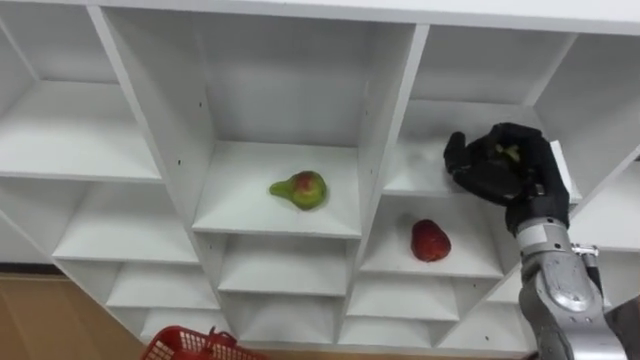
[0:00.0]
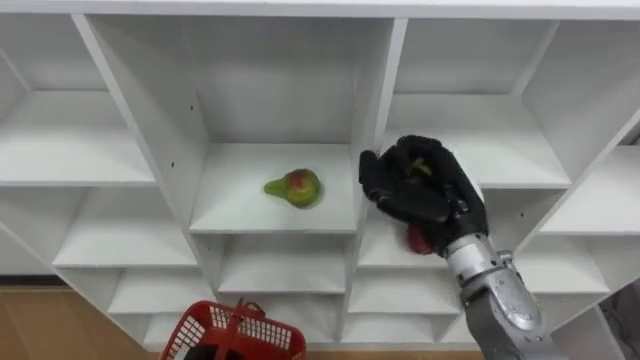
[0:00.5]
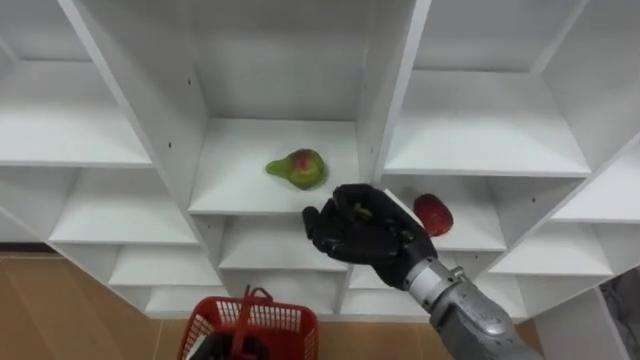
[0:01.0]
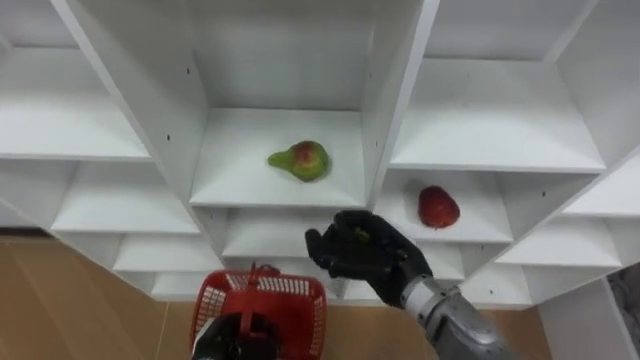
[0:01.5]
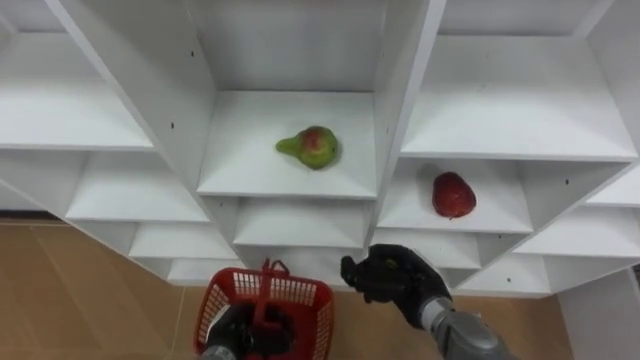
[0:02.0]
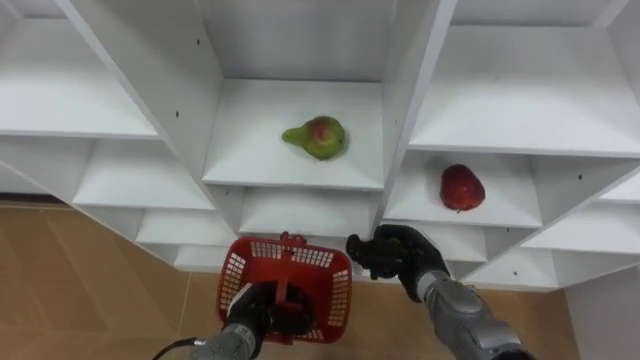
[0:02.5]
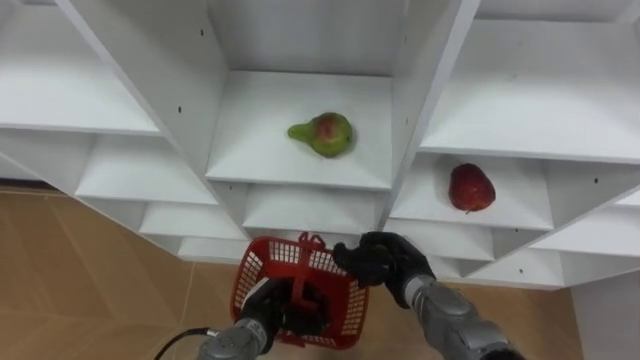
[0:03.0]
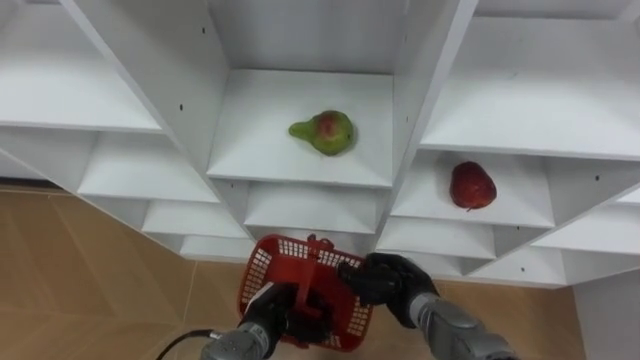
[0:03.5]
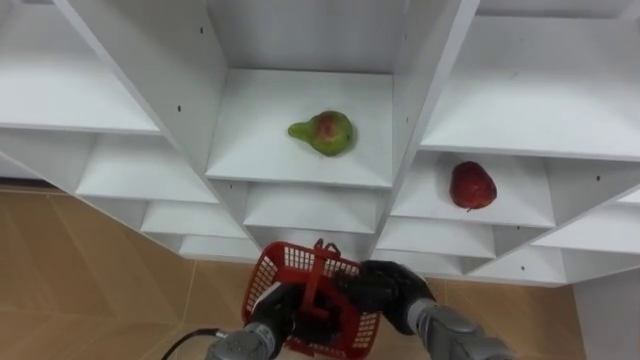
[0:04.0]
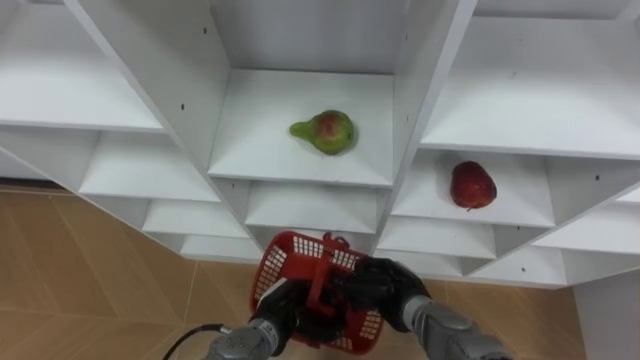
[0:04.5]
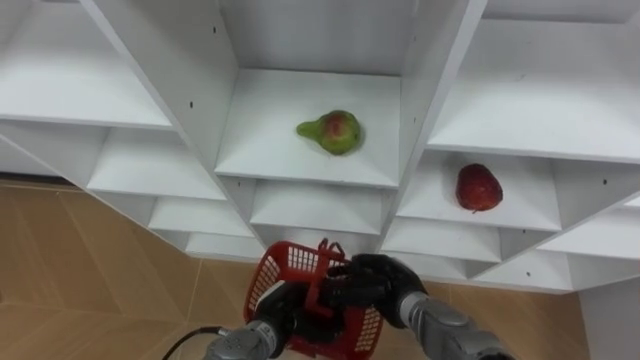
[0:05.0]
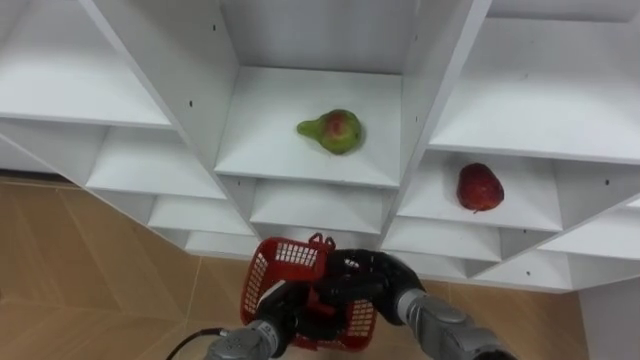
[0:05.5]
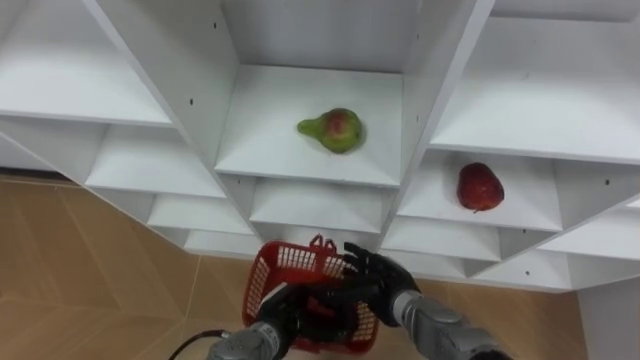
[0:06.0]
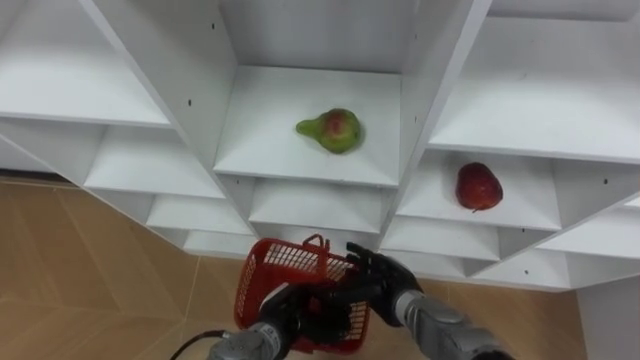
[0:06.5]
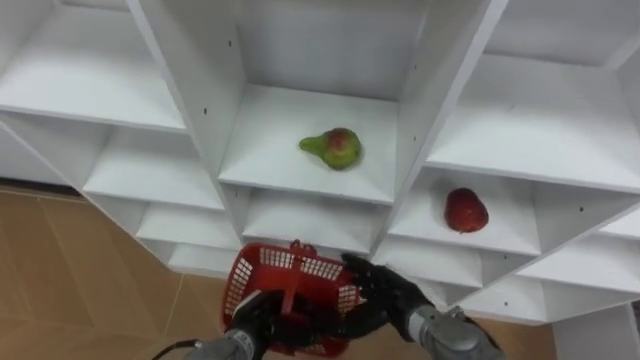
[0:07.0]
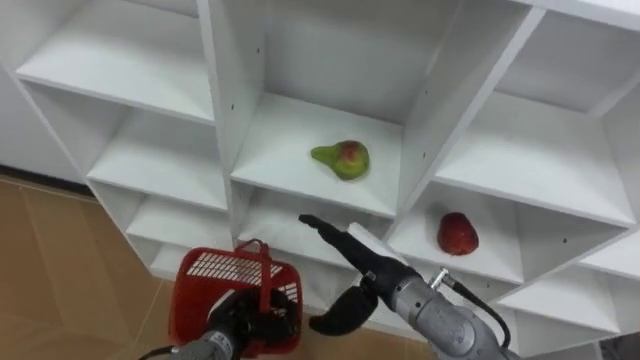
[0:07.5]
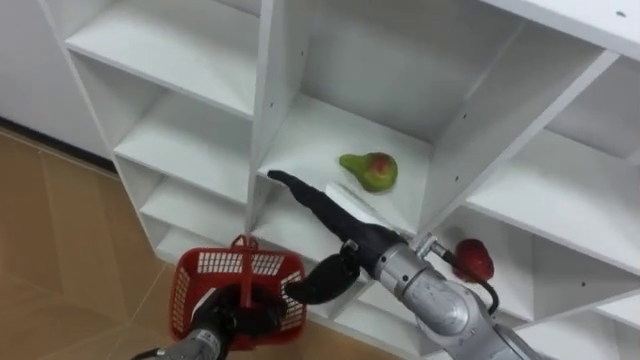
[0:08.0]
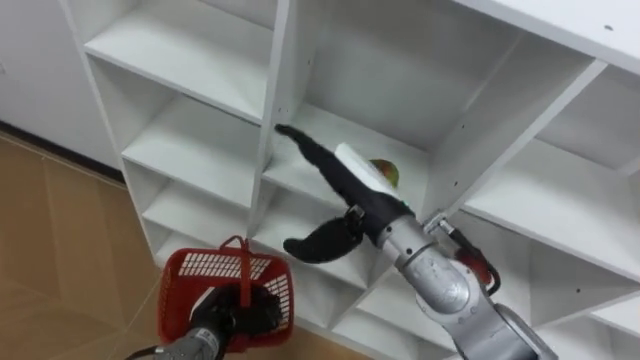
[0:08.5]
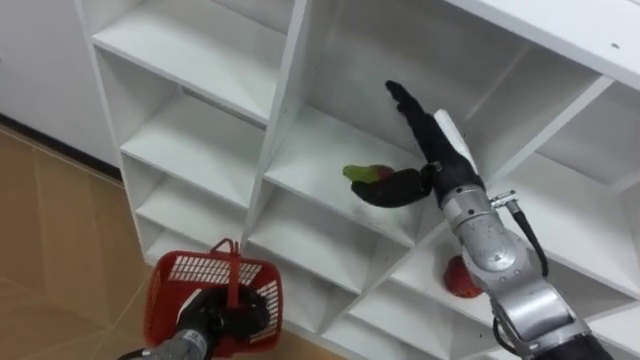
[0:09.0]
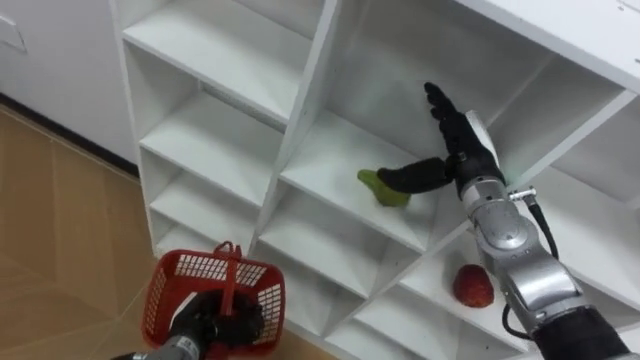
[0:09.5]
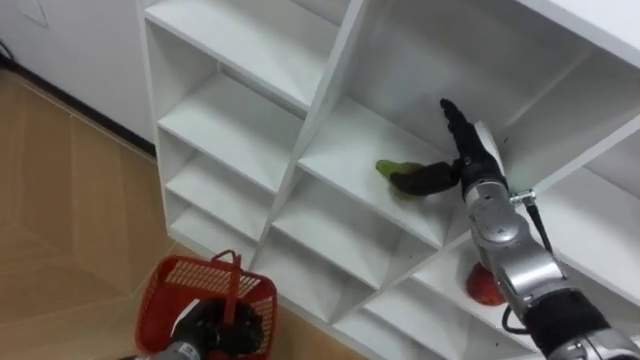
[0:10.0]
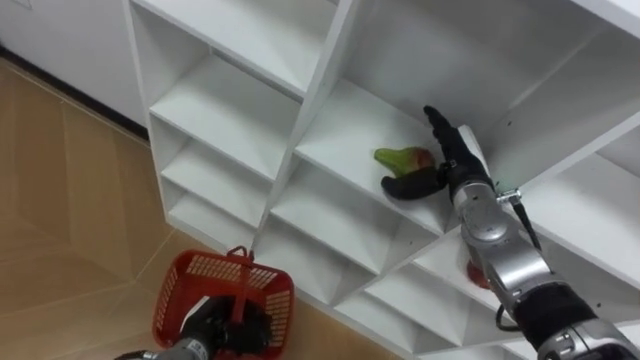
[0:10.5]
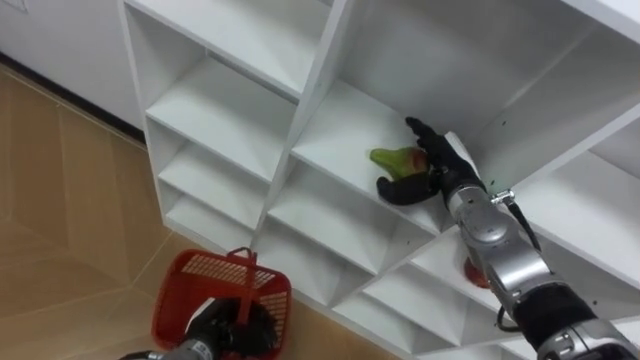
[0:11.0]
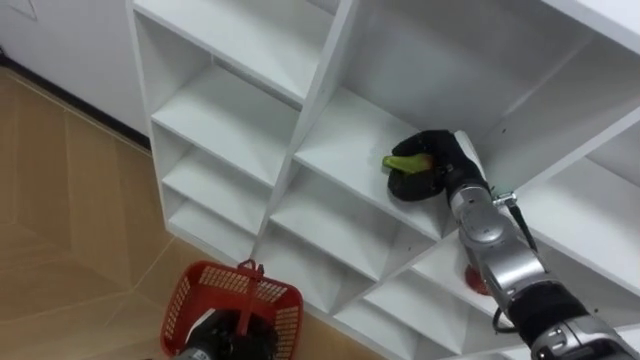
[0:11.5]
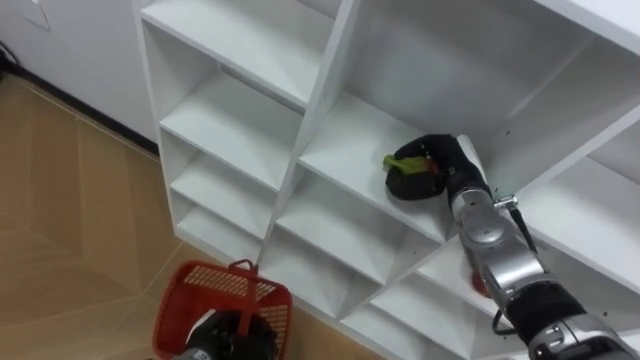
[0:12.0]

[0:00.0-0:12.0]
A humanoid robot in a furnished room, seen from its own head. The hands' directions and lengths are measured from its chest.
Task of the whole recording: Hold the basket and collect the fruits from 3 different cells of the closet into it.
0:00.0 to 0:02.0: The right hand goes roughly 20 cm downward, to the left and backward.
0:02.0 to 0:04.0: The left hand shifts roughly 5 cm to the right.
0:04.0 to 0:06.0: The right hand opens up.
0:06.0 to 0:08.0: The left hand heads to the left, covering about 10 cm. The right hand moves upward, some 15 cm.
0:08.0 to 0:10.0: The right hand goes some 20 cm to the right and forward.
0:10.0 to 0:12.0: The right hand closes.

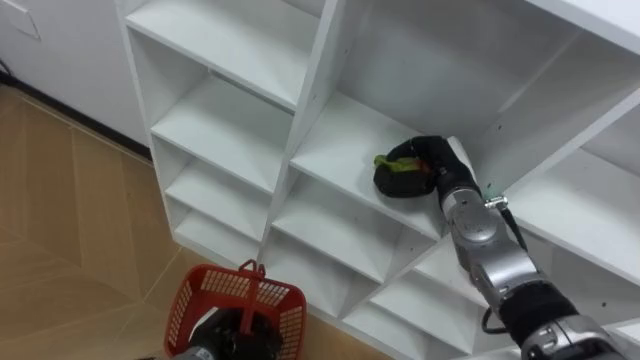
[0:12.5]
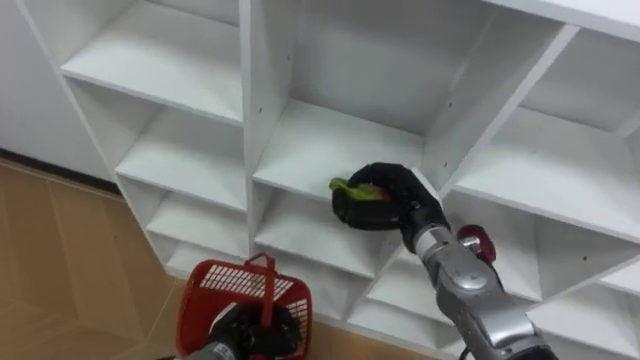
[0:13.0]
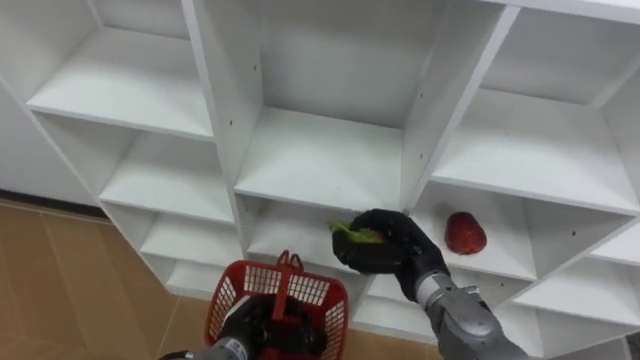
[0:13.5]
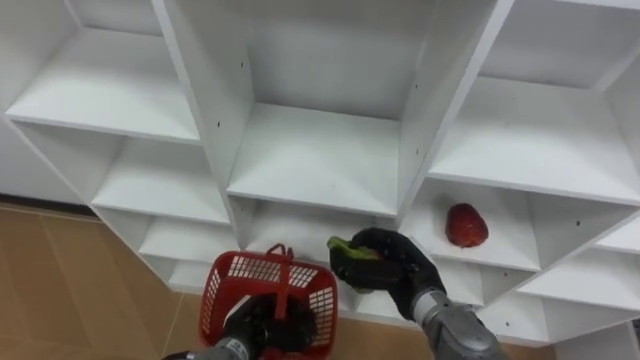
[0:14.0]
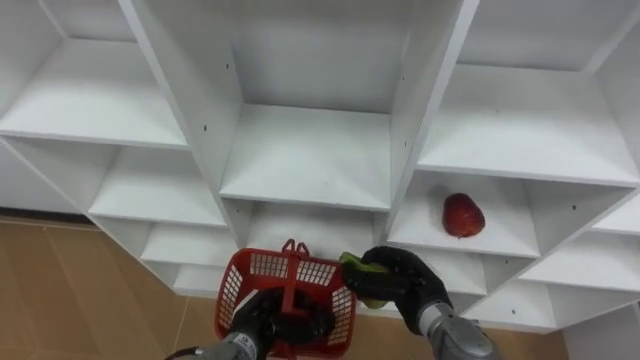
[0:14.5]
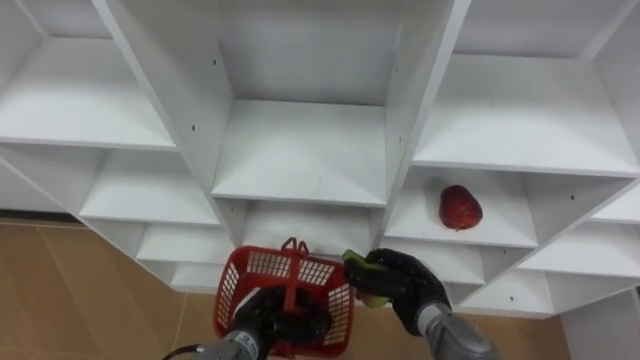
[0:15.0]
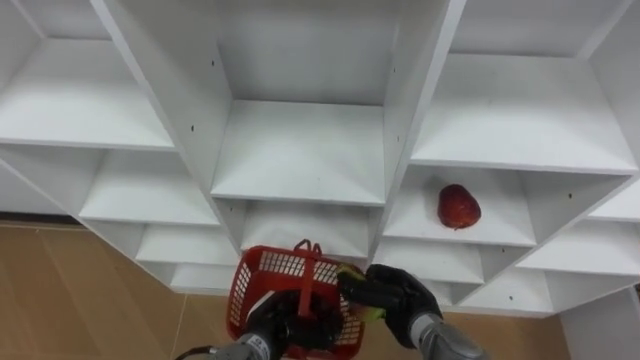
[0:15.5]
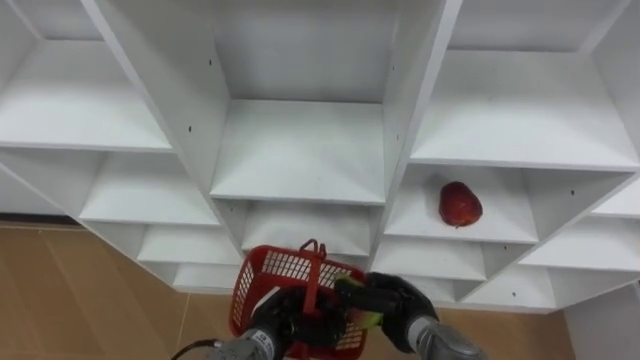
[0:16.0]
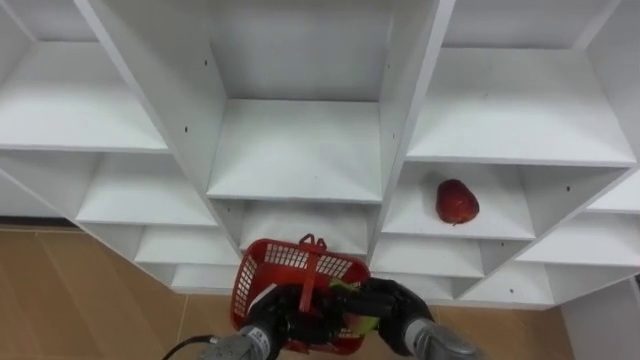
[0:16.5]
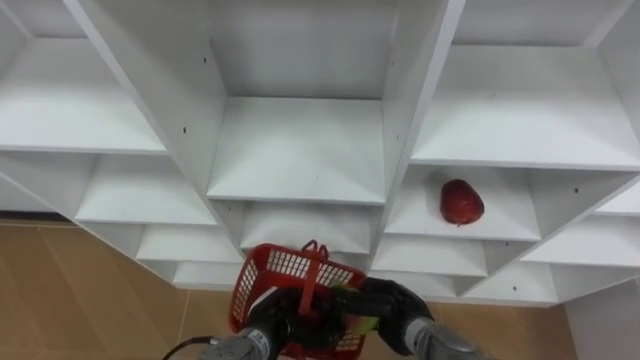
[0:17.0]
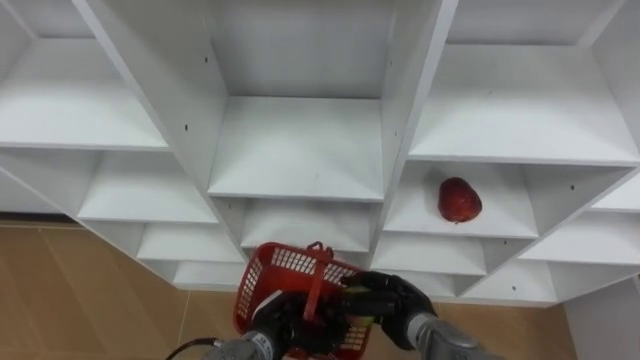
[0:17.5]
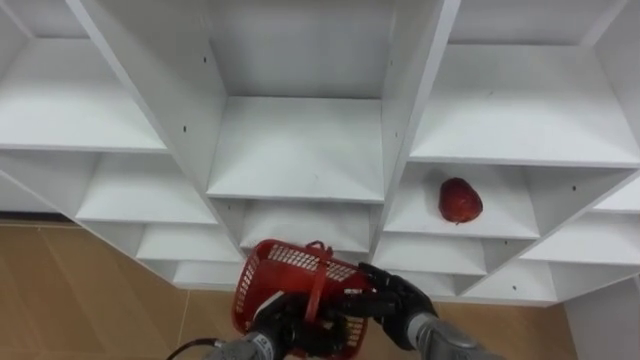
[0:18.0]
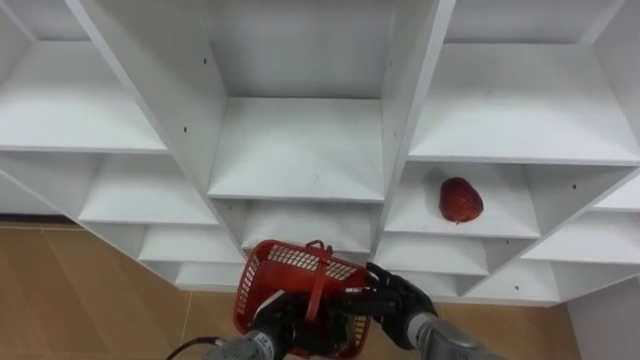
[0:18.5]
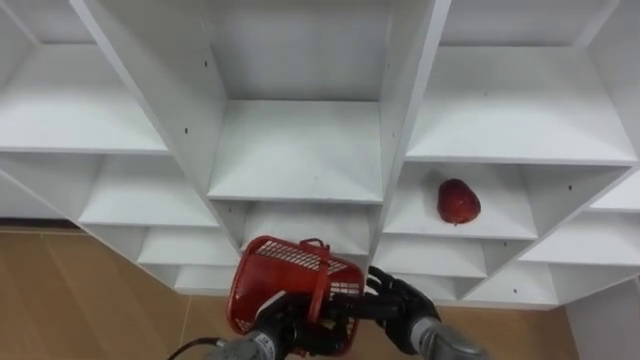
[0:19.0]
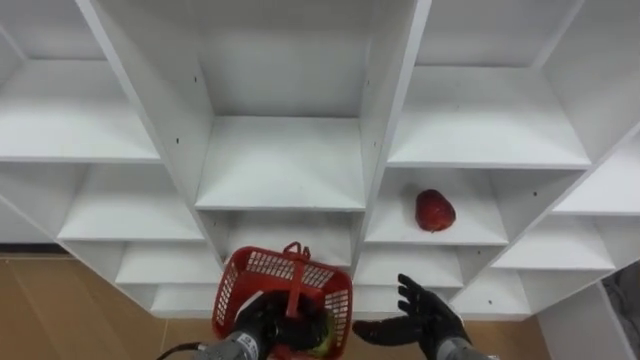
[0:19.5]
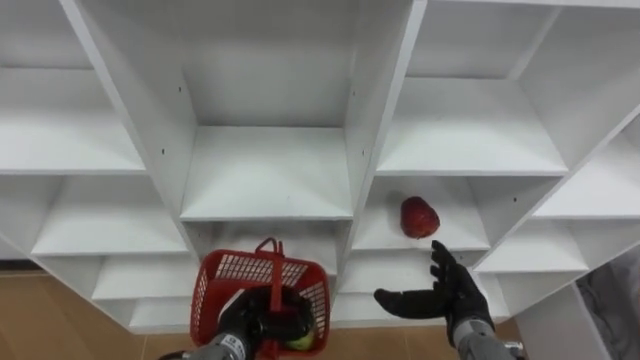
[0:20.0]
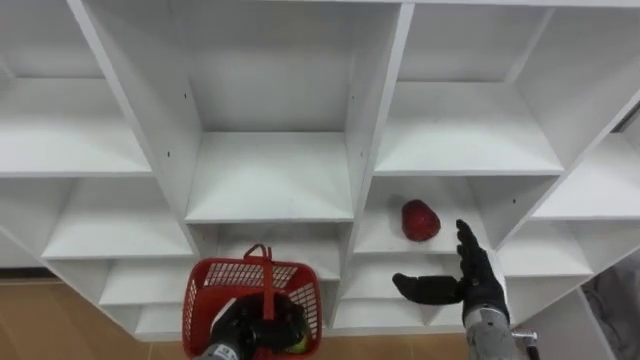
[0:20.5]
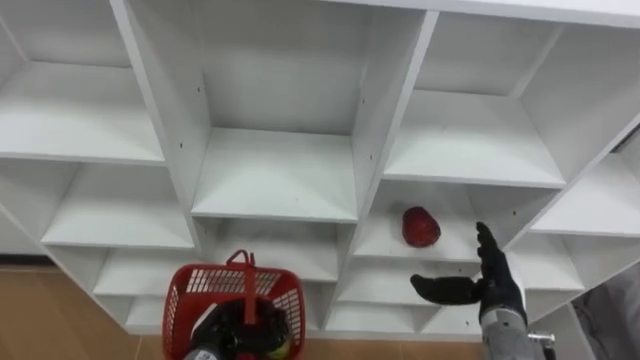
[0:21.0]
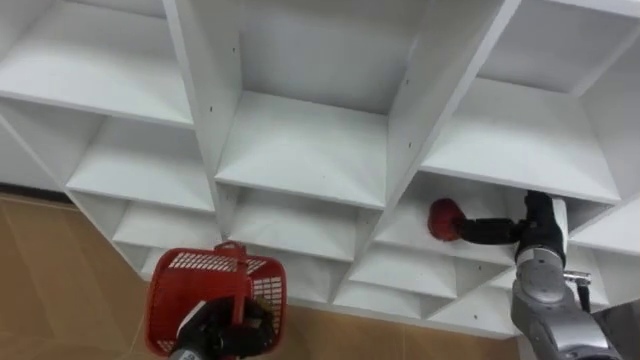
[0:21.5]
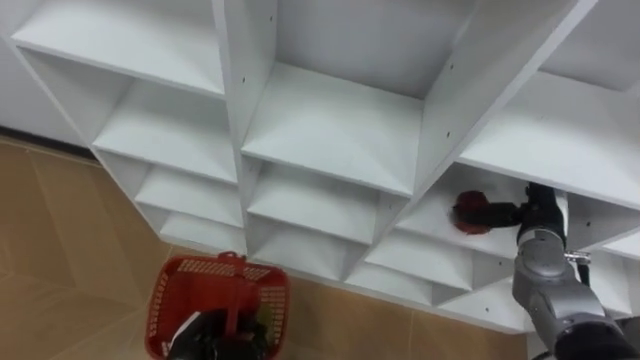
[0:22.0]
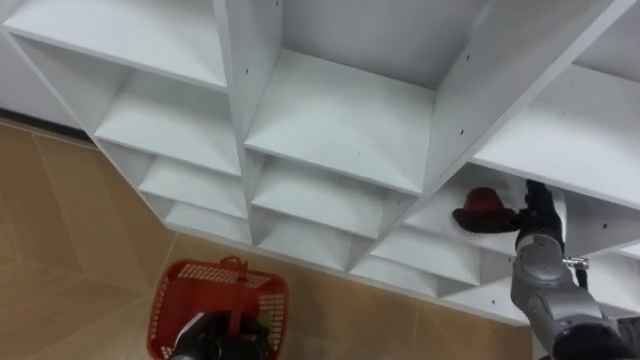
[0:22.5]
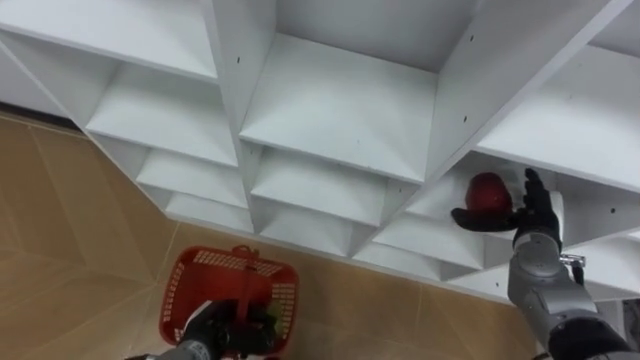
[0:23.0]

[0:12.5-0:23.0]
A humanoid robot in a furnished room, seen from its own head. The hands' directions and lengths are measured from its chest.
Task of the whole recording: Hold the basket and collect the fruits from 3 different cells of the closet into it.
0:12.5 to 0:14.5: The left hand goes some 5 cm to the right. Meanwhile the right hand is displaced backward and downward by approximately 15 cm.
0:14.5 to 0:16.5: The right hand moves roughly 5 cm.
0:16.5 to 0:19.0: The right hand opens its fingers.
0:19.0 to 0:21.0: The right hand shifts roughly 15 cm to the right and upward. The left hand heads to the left, covering roughly 10 cm.
0:21.0 to 0:23.0: The right hand goes approximately 10 cm forward and to the right.
